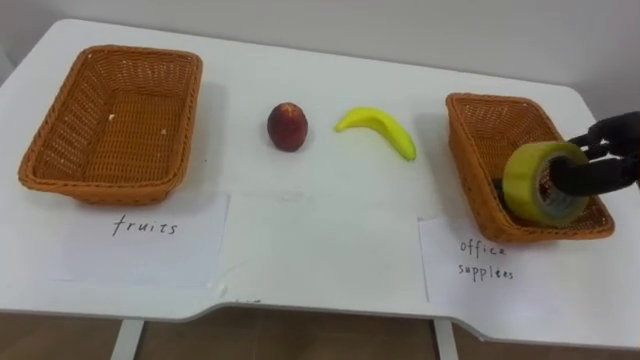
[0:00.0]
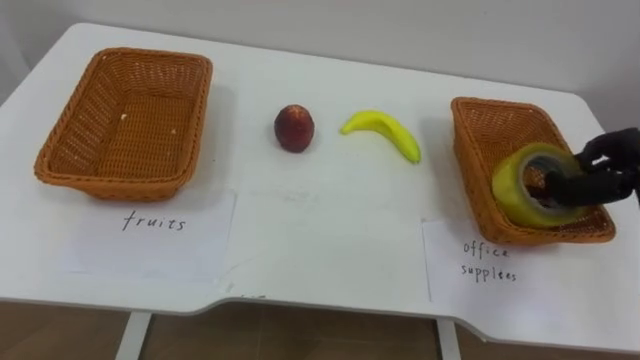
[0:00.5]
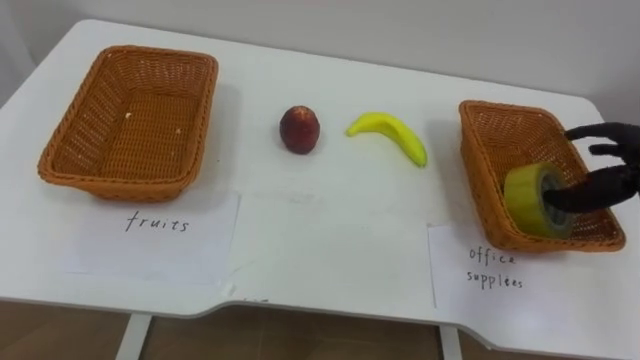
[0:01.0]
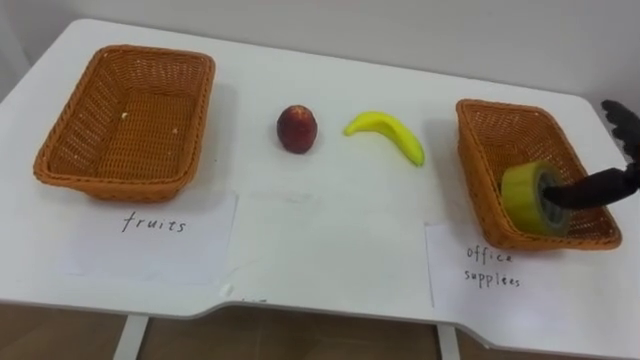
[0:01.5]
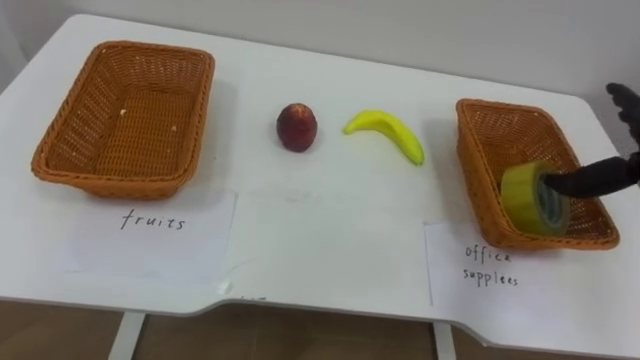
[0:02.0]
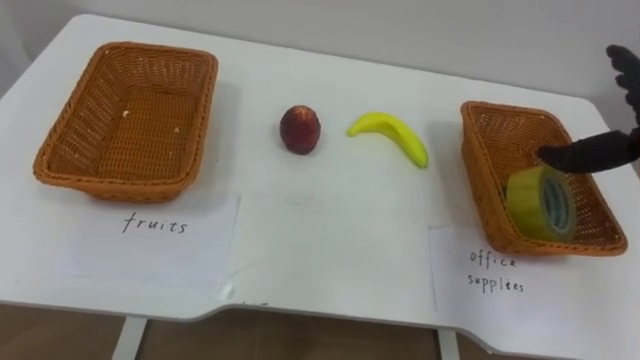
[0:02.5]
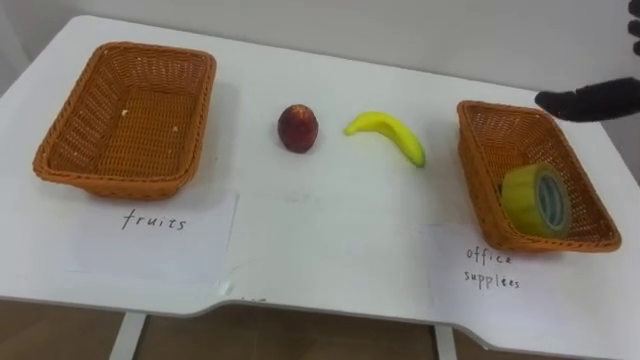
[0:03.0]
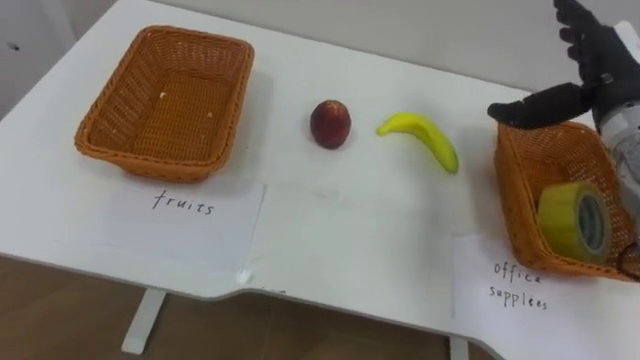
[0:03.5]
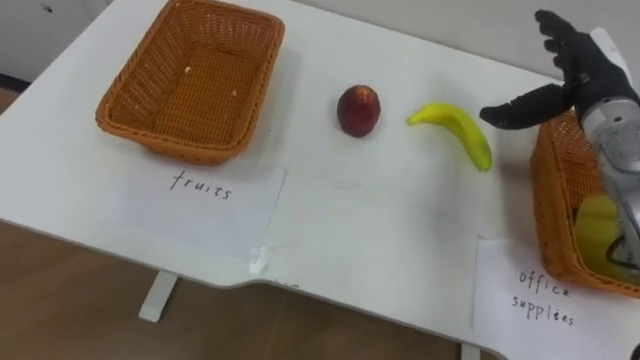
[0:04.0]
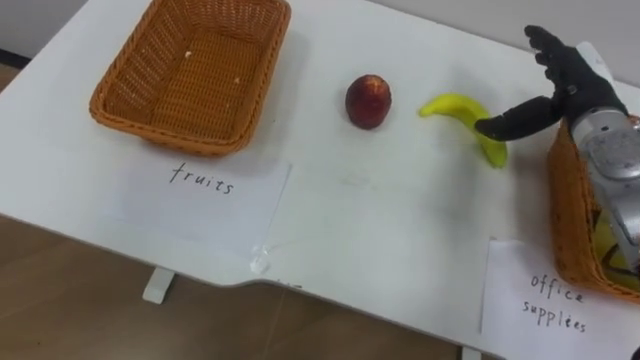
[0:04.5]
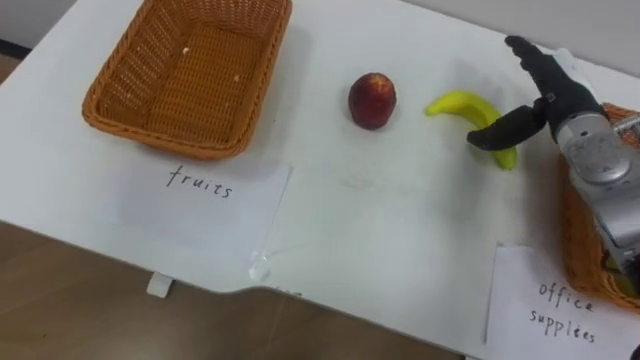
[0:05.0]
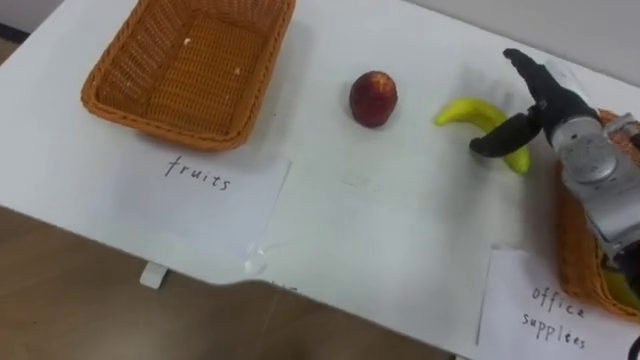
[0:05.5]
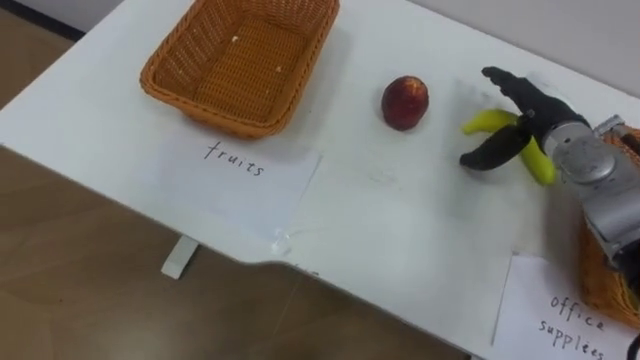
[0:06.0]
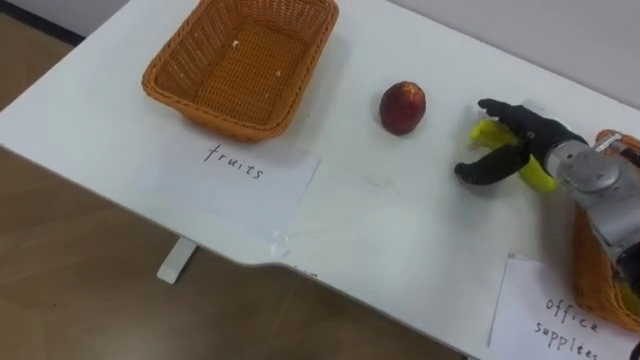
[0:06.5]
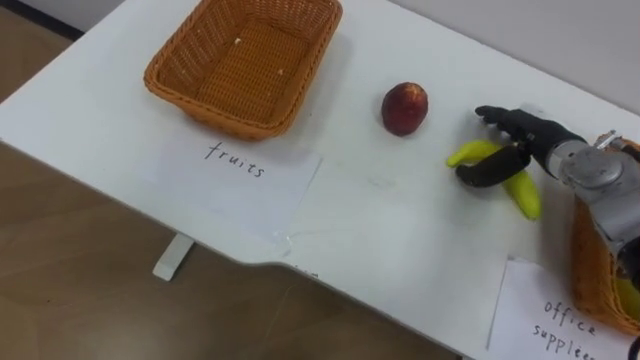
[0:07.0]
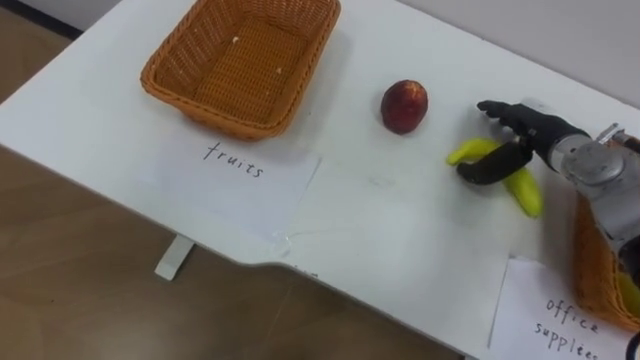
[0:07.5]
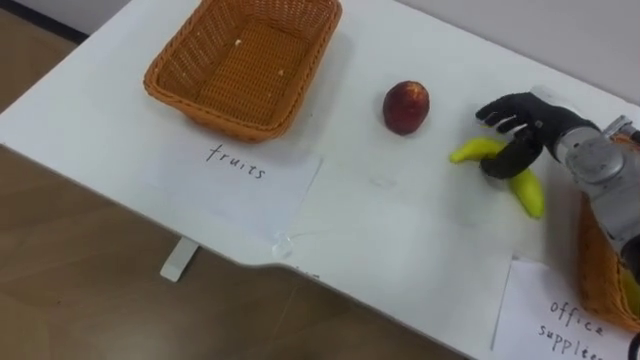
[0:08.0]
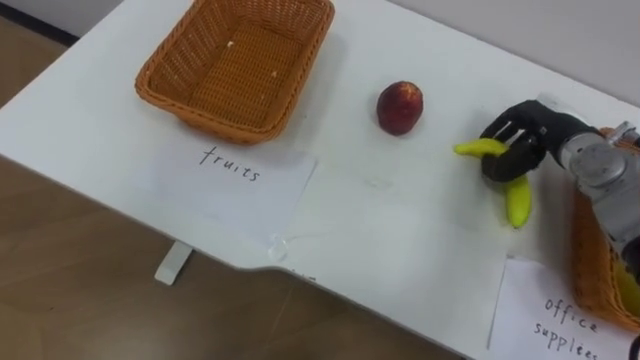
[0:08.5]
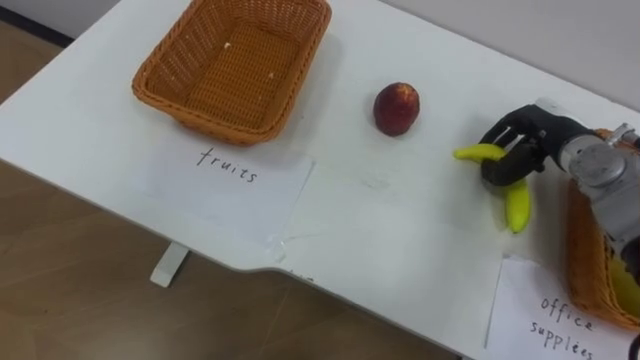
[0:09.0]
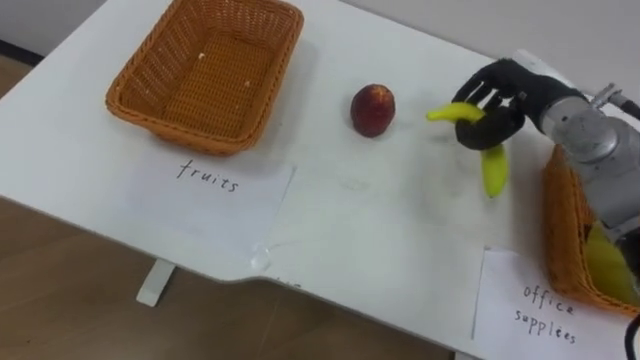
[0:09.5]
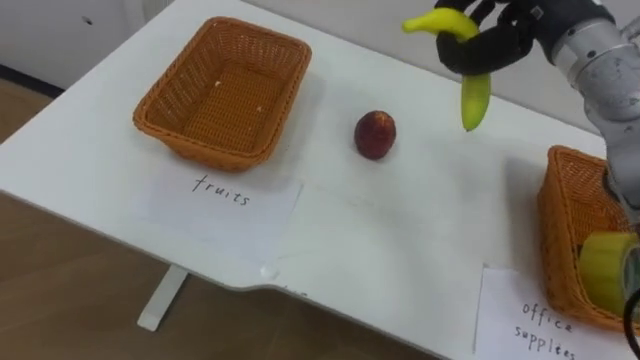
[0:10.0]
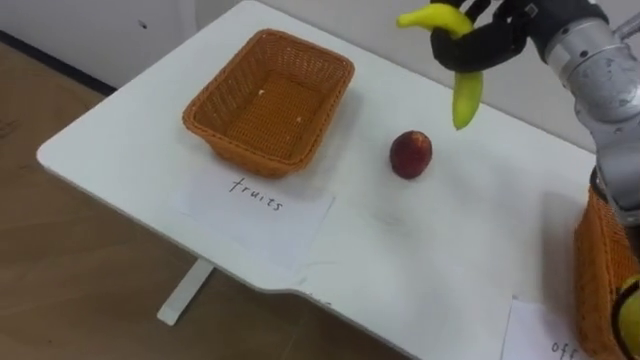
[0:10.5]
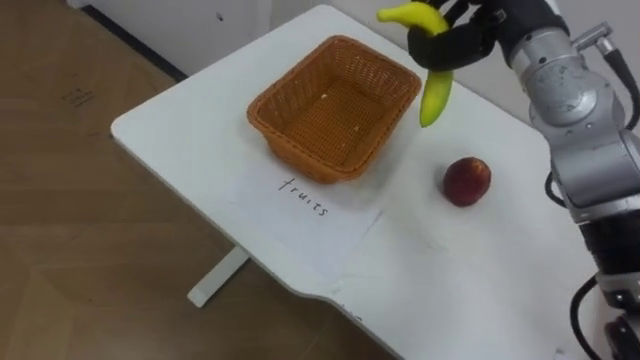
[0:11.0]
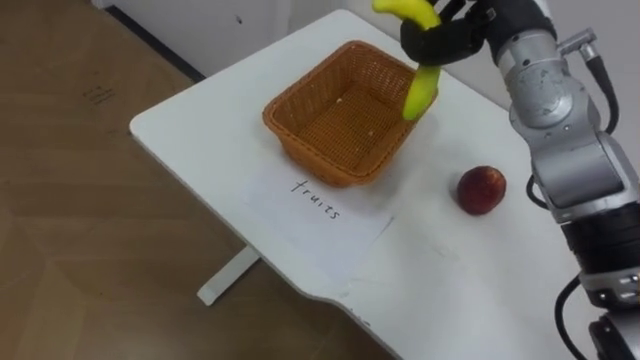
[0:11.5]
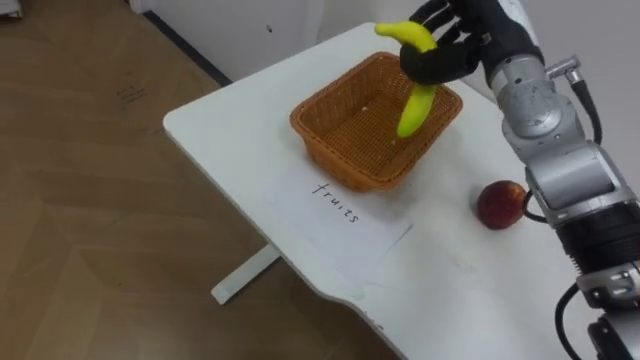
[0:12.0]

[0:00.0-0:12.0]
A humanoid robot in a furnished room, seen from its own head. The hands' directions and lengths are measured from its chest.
Task of the whole recording: Separate the items on the table and place them into the two baskets.
0:04.0 to 0:06.0: The right hand moves downward, about 5 cm.
0:08.0 to 0:10.0: The right hand goes roughly 20 cm upward and to the left, and closes up.
0:10.0 to 0:12.0: The right hand moves roughly 5 cm.

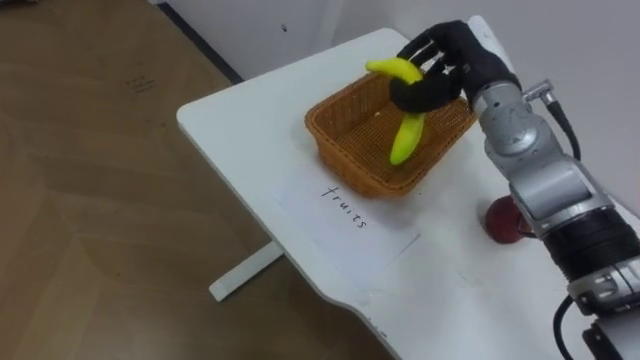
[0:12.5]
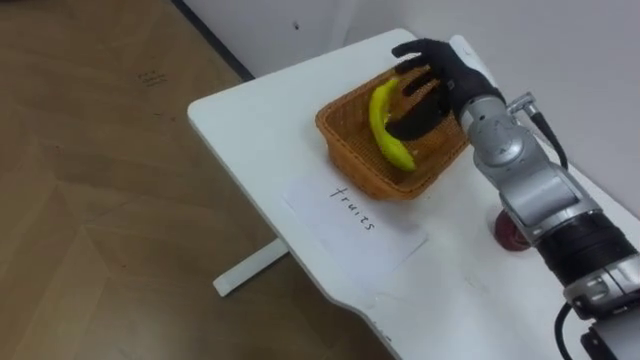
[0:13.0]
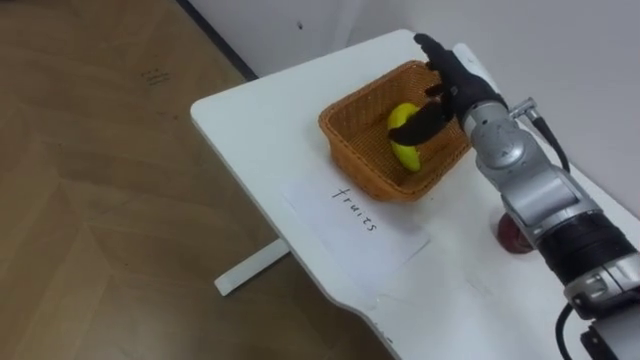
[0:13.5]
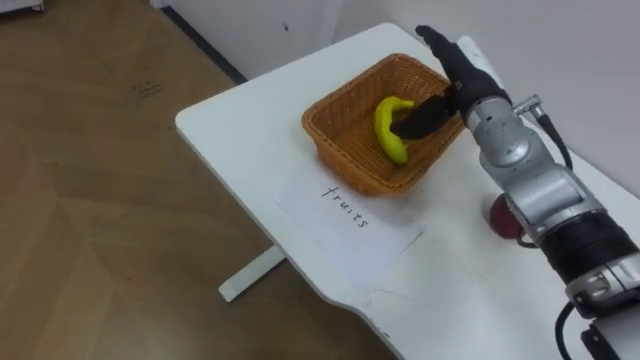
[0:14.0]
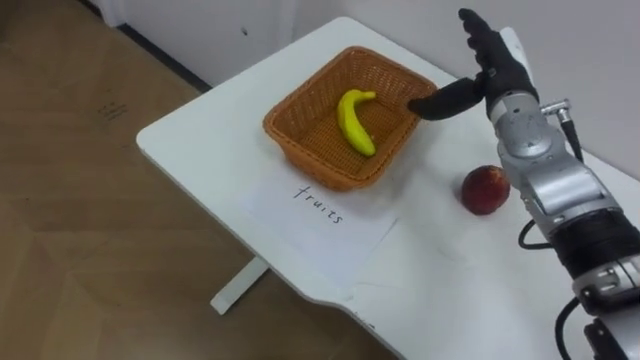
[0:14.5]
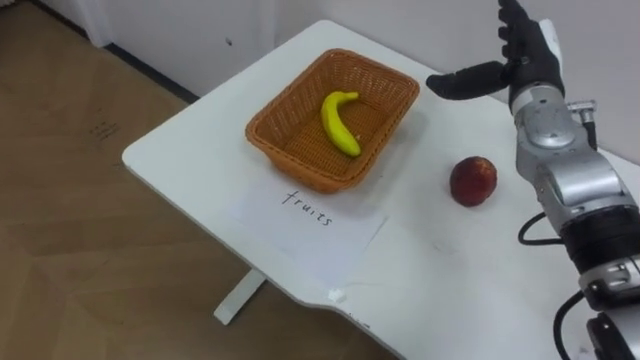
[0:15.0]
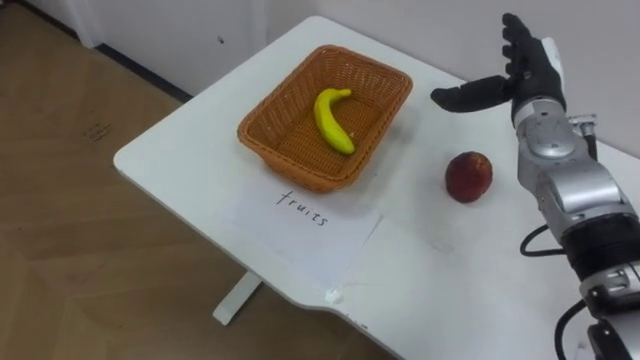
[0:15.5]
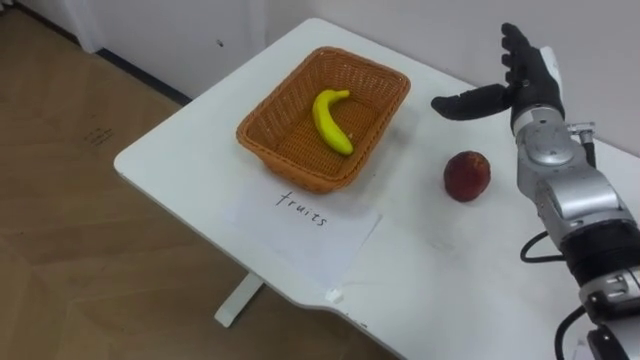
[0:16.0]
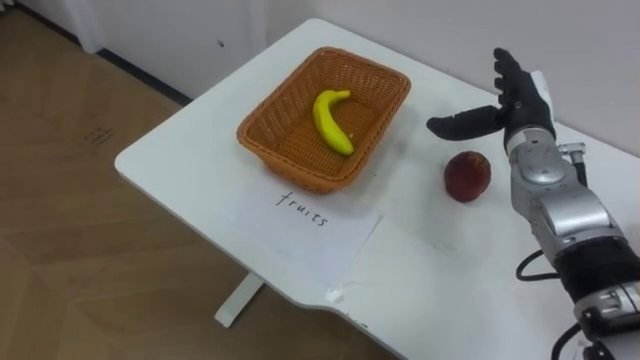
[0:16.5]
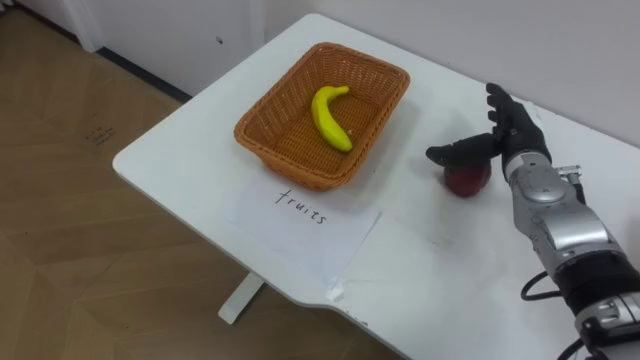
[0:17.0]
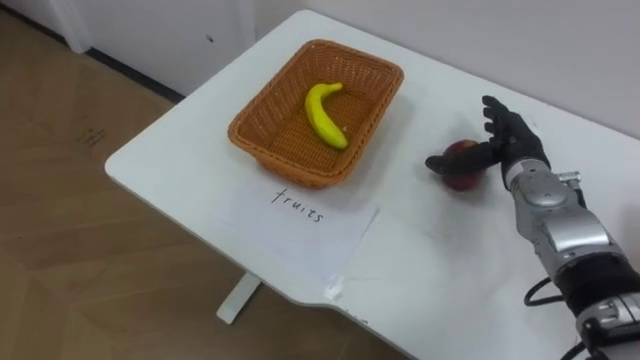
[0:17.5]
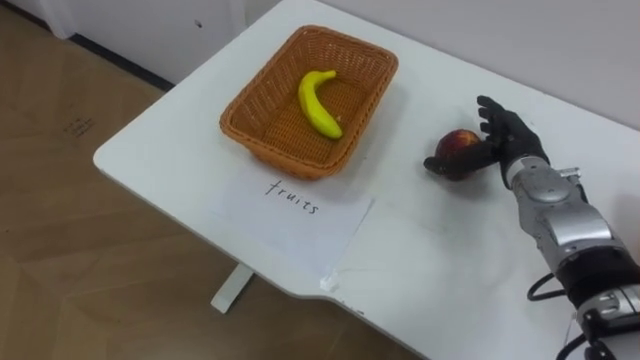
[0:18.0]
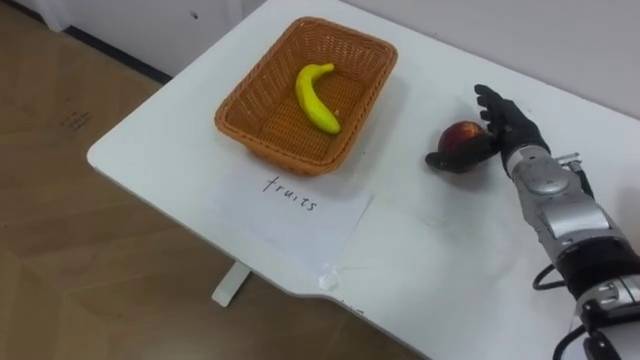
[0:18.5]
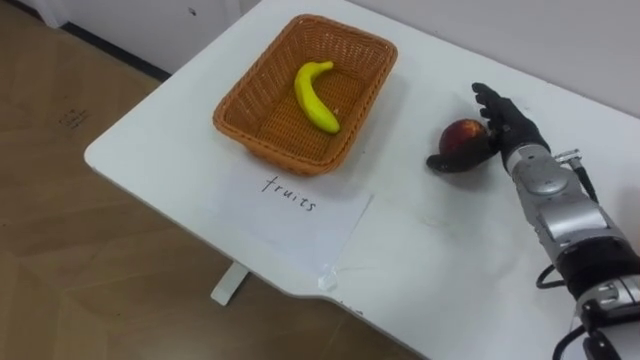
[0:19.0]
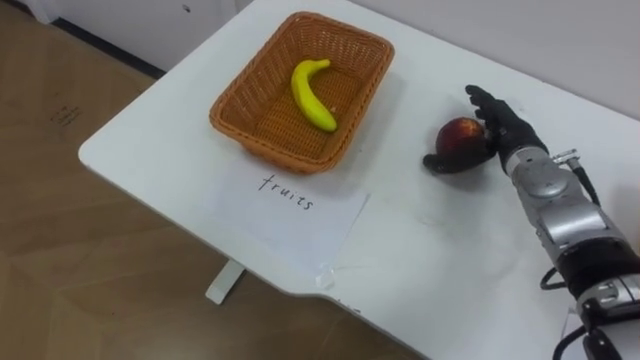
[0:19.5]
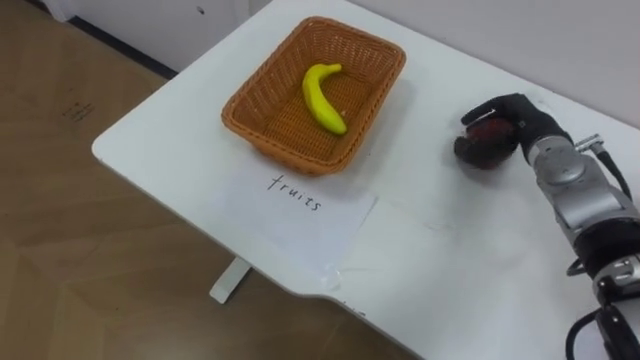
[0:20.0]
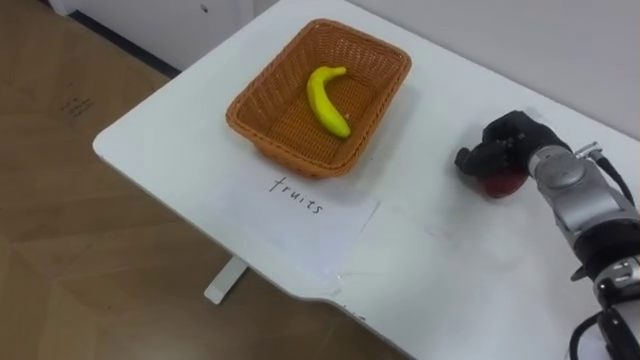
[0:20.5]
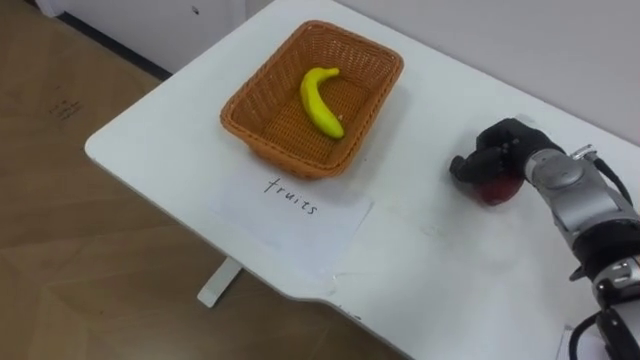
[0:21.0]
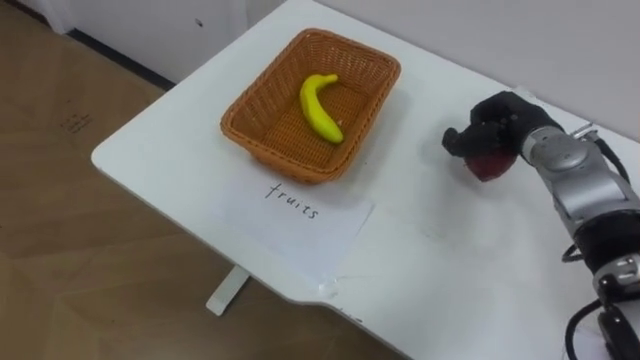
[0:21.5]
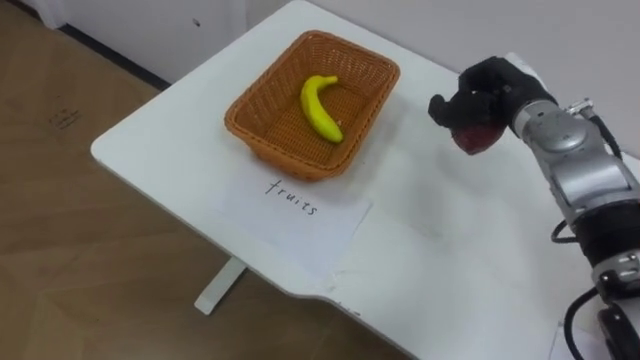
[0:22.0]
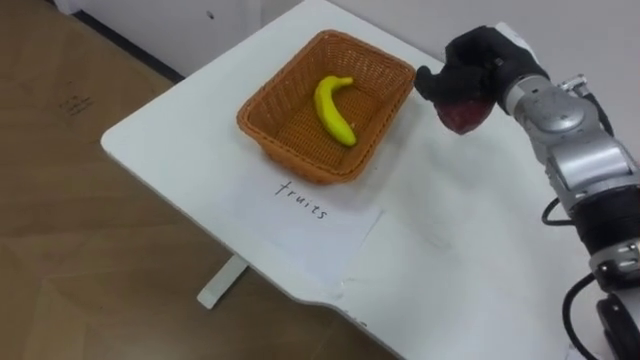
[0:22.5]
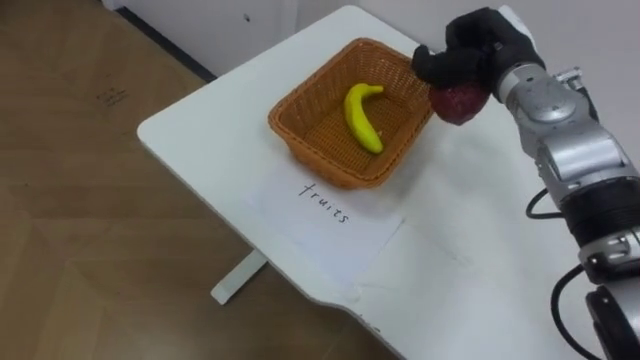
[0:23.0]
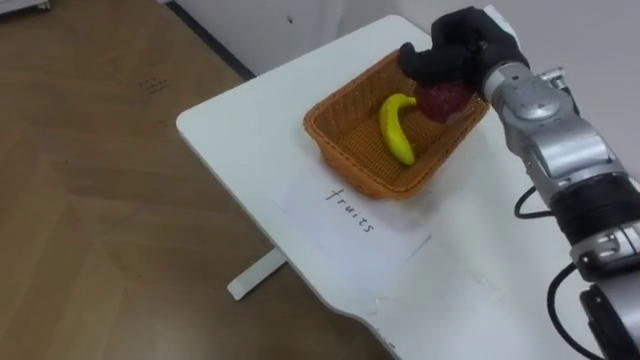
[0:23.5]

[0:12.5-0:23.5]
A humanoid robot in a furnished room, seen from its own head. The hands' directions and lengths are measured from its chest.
Task of the whole recording: Separate the items on the table and place them into the two baskets.
0:12.5 to 0:14.5: The right hand opens up.
0:16.0 to 0:18.0: The right hand shifts about 10 cm downward.
0:18.0 to 0:20.0: The right hand closes up.
0:20.0 to 0:21.5: The right hand closes up.
0:21.5 to 0:23.5: The right hand travels upward and to the left by some 10 cm.
